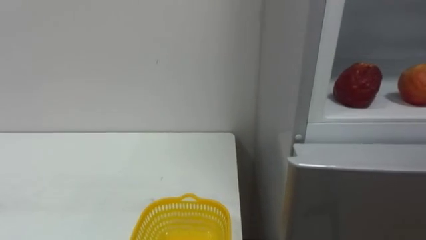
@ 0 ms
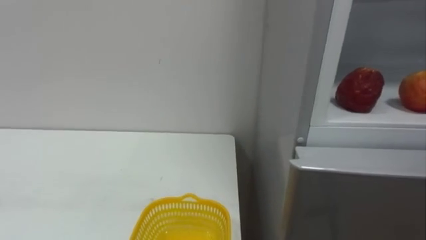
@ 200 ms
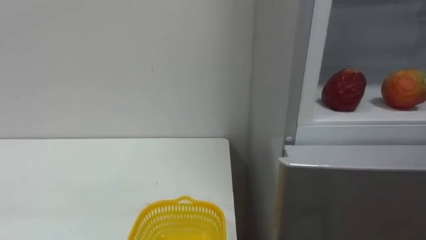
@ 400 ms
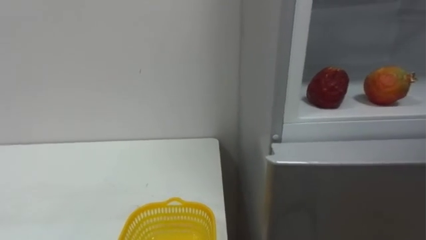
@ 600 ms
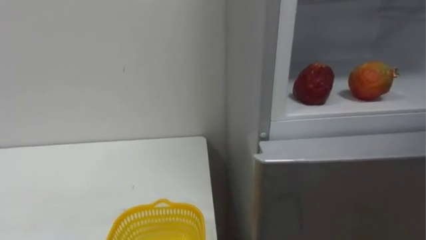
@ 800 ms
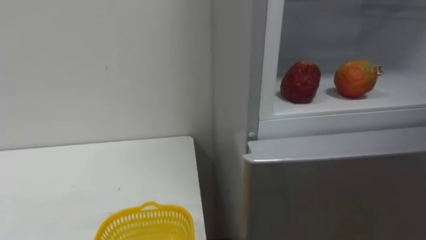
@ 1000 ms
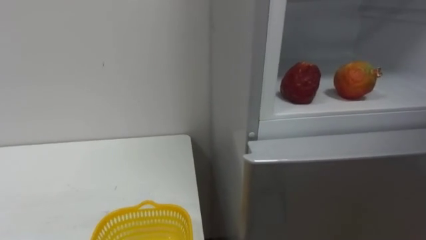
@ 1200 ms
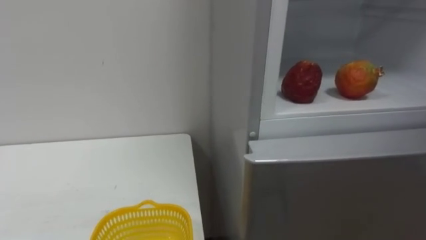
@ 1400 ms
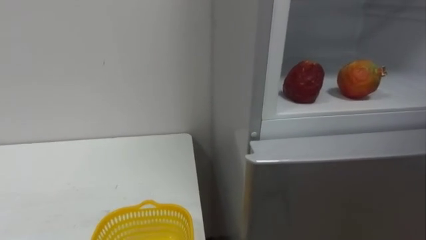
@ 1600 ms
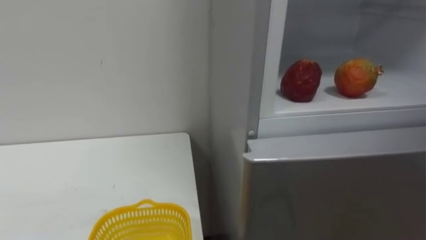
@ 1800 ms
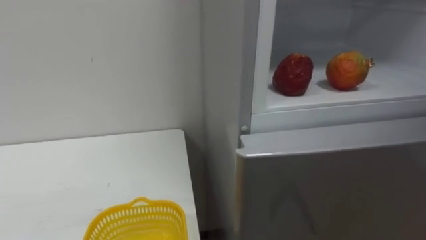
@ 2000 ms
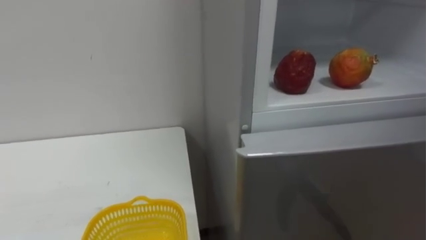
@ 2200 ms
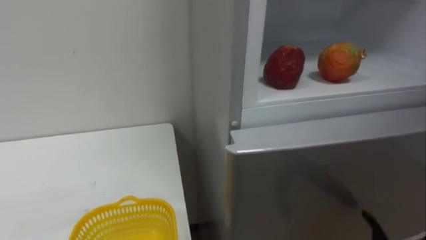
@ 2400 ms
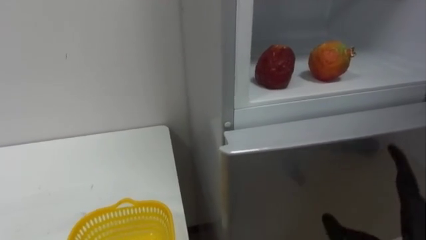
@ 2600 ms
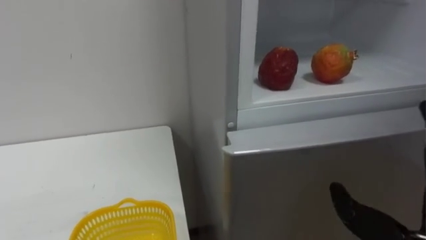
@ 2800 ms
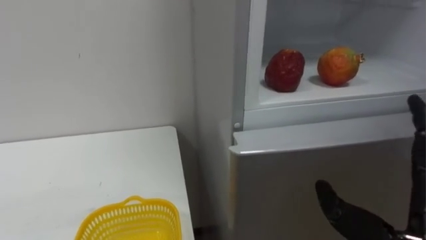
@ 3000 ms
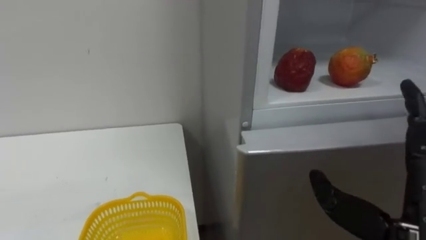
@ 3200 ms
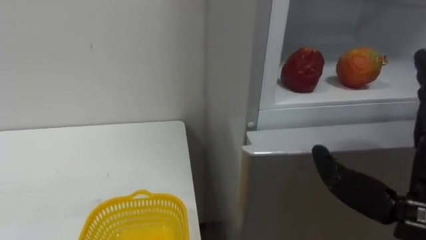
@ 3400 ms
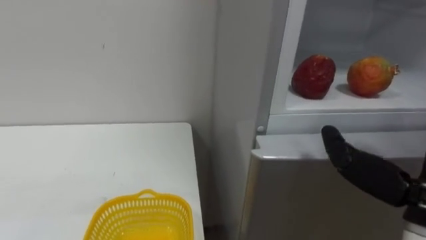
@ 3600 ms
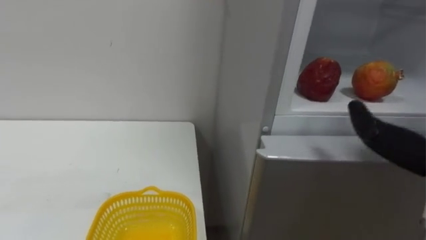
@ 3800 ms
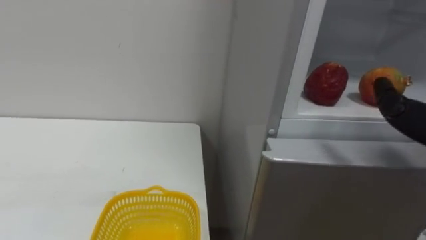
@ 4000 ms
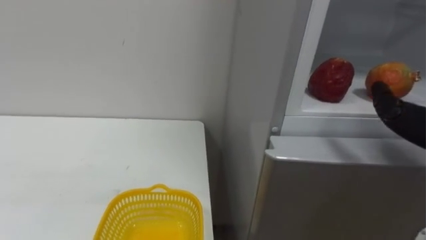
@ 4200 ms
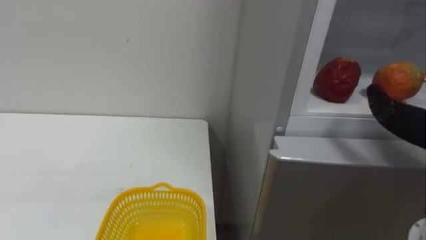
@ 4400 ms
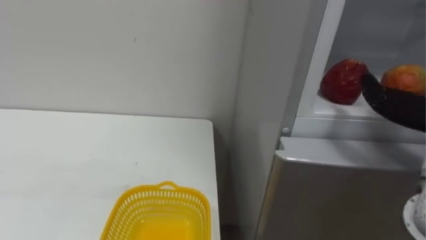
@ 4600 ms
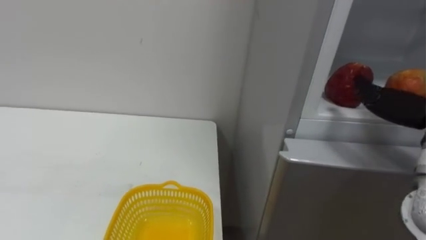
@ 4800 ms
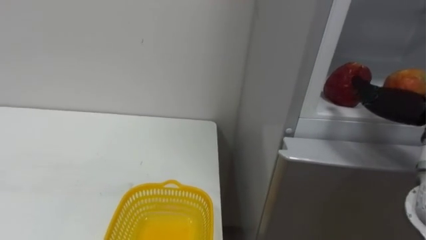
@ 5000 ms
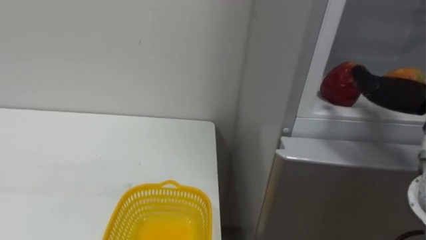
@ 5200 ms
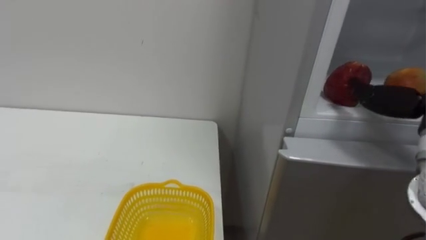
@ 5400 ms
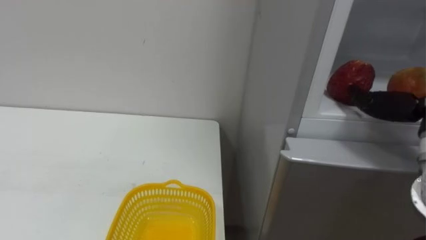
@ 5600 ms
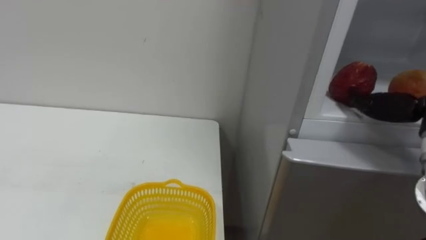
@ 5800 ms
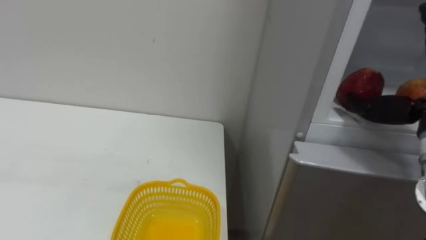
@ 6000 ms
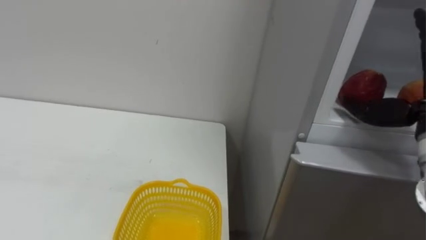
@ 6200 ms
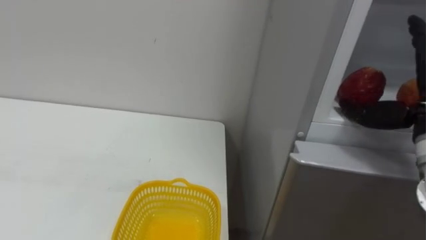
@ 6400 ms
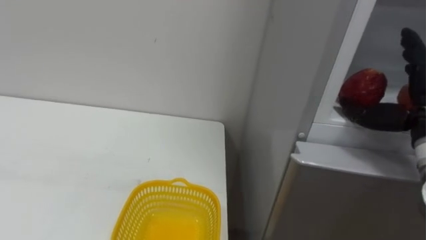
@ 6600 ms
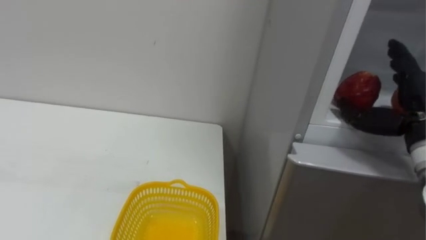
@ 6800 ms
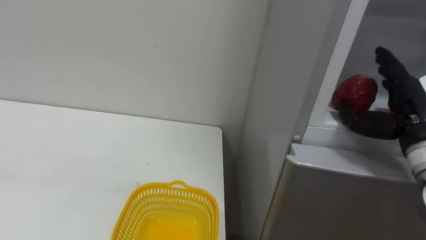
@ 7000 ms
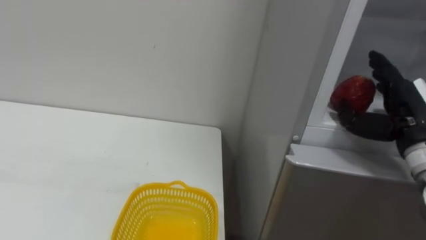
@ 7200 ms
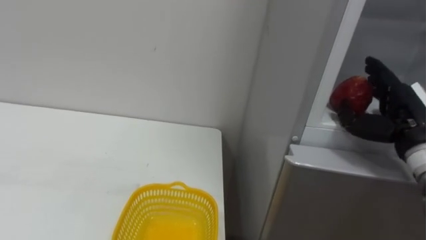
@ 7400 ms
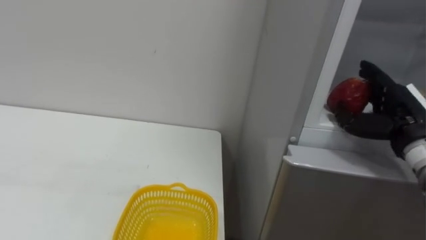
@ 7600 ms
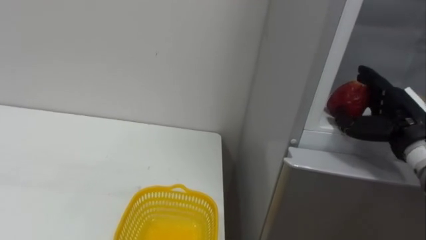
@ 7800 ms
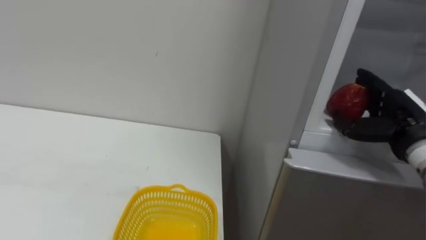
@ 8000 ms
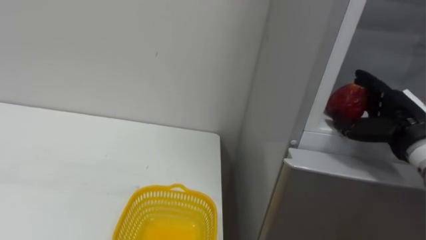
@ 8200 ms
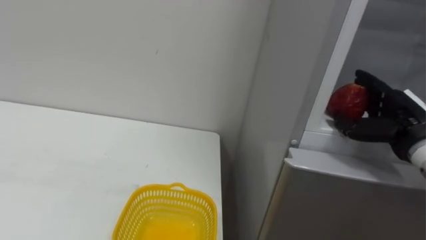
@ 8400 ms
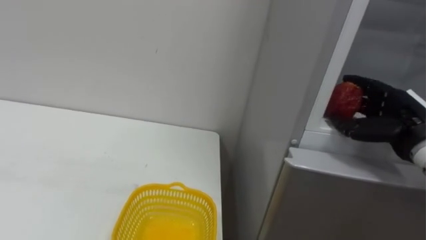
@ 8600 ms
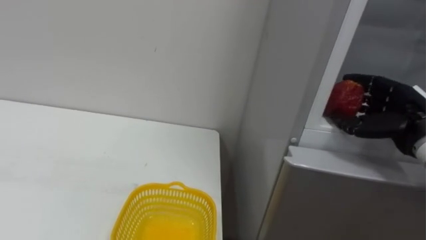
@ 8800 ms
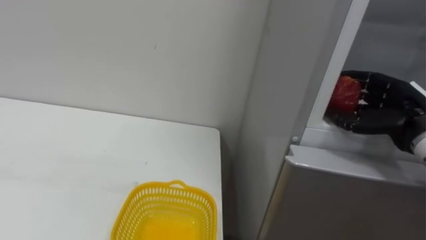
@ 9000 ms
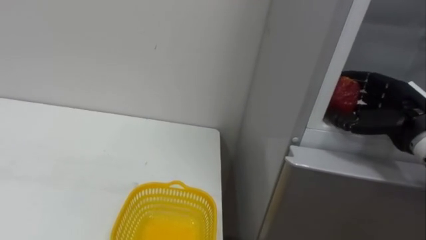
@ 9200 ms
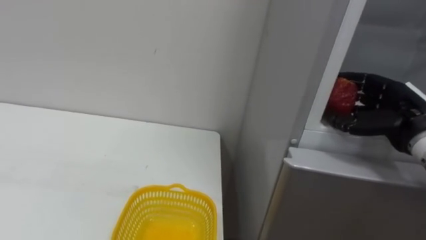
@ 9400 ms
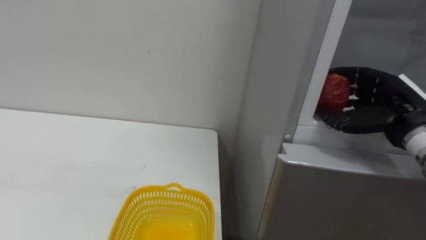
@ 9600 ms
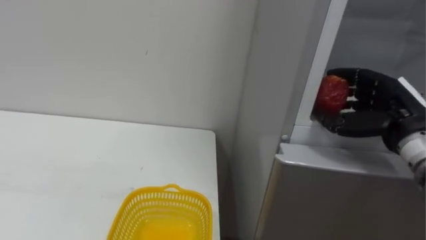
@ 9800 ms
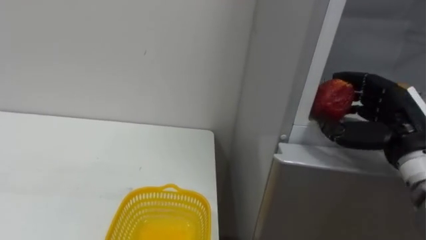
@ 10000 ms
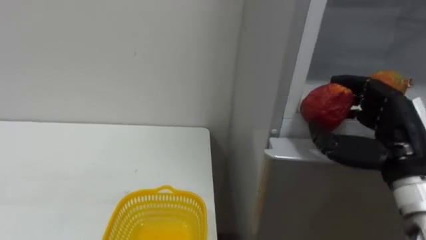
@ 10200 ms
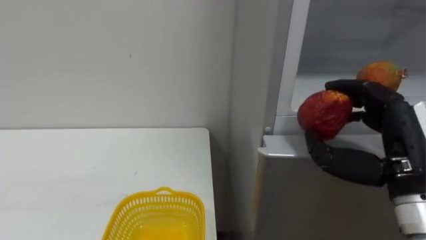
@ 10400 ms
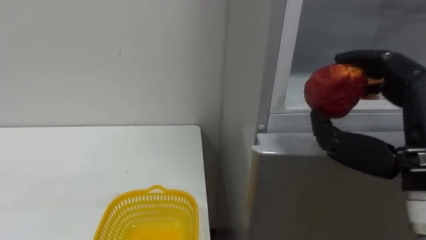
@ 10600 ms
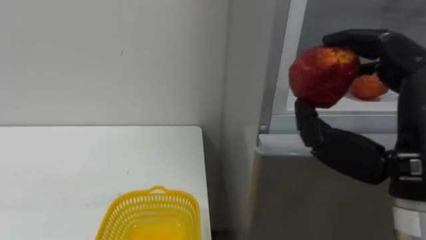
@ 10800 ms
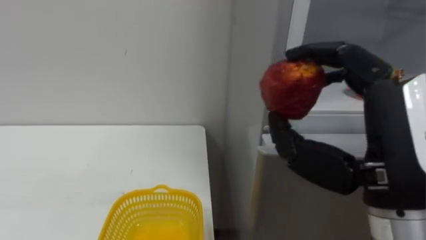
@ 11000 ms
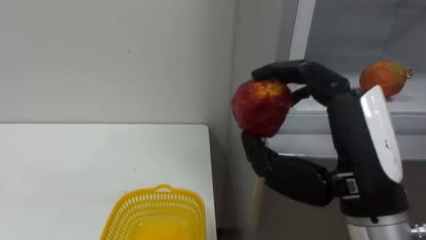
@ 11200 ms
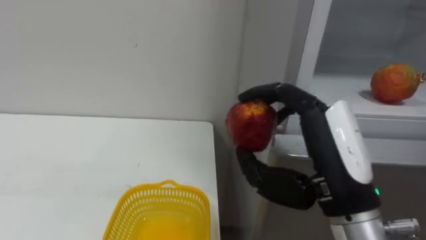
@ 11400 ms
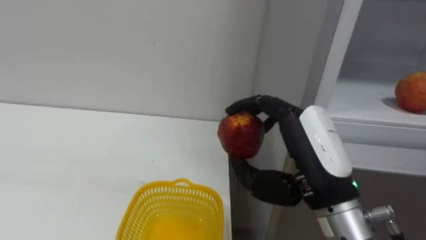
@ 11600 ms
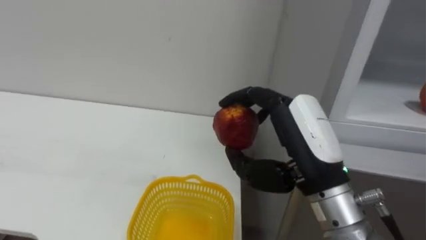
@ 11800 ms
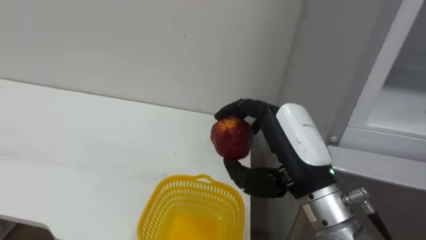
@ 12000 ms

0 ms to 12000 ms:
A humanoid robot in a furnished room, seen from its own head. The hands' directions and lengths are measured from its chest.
Task of the whole recording: Open the refrigerator door, take out the apple and the pomegranate, place them in the fruit basket on the left, and close the refrigerator door.
7600 ms to 9000 ms: The right hand closes.
9000 ms to 10400 ms: The right hand shifts some 15 cm backward and to the left.
10400 ms to 12000 ms: The right hand travels to the left by about 15 cm.

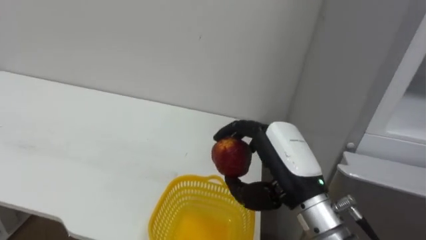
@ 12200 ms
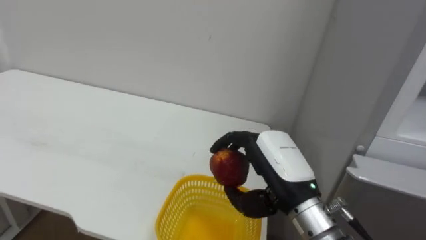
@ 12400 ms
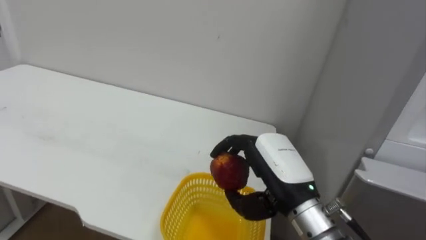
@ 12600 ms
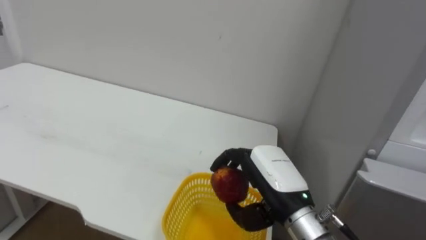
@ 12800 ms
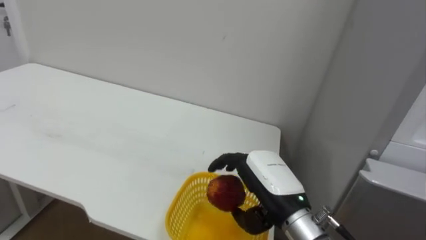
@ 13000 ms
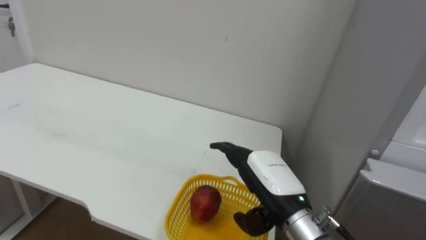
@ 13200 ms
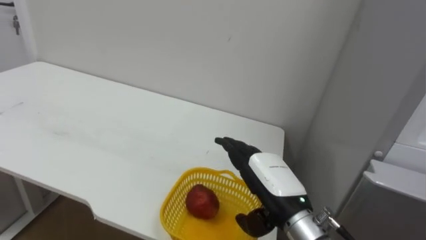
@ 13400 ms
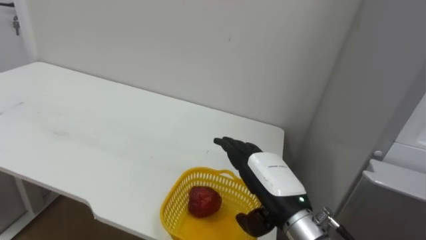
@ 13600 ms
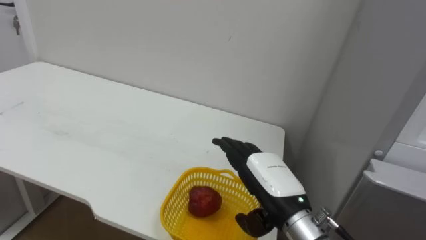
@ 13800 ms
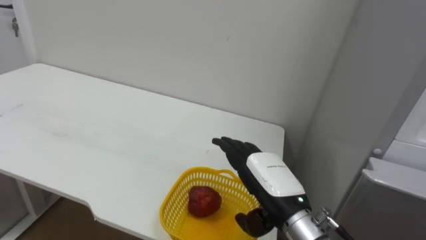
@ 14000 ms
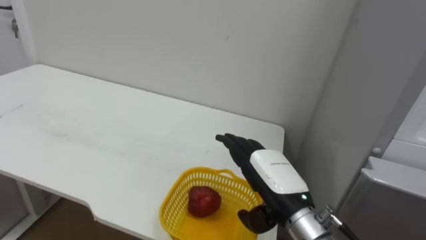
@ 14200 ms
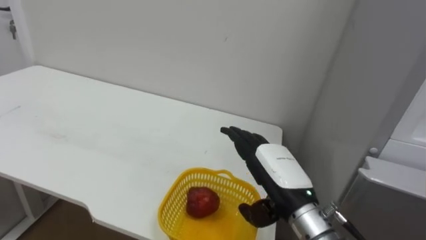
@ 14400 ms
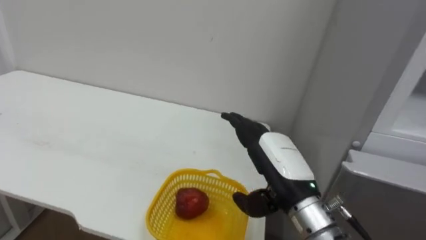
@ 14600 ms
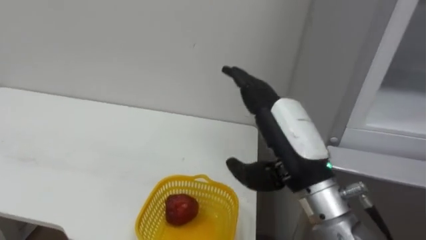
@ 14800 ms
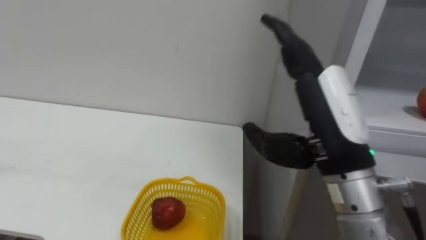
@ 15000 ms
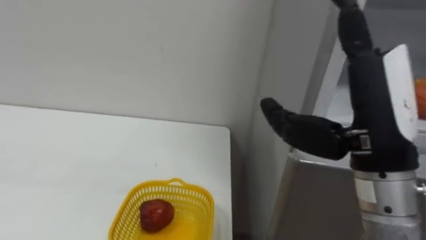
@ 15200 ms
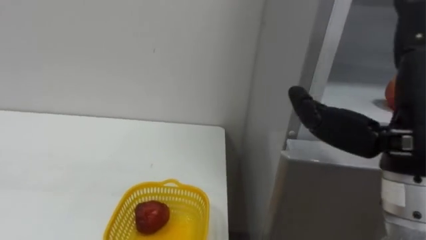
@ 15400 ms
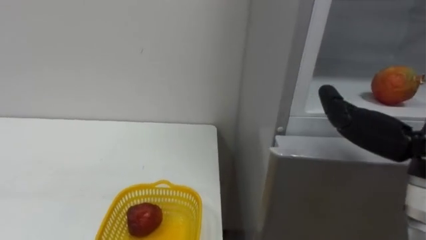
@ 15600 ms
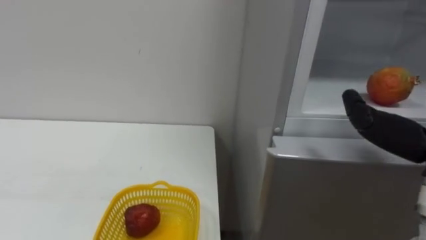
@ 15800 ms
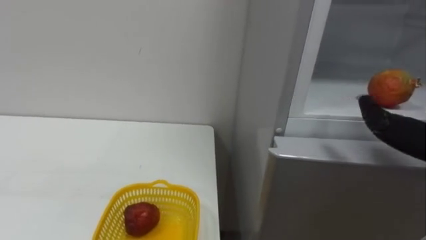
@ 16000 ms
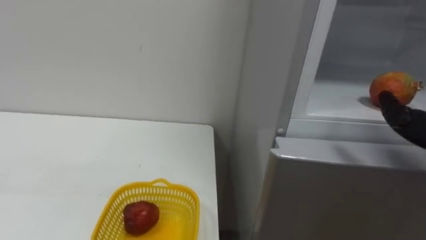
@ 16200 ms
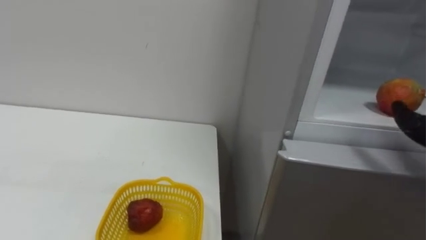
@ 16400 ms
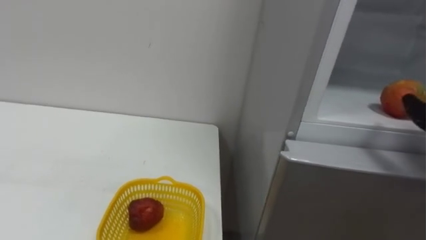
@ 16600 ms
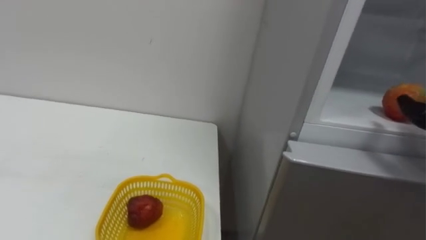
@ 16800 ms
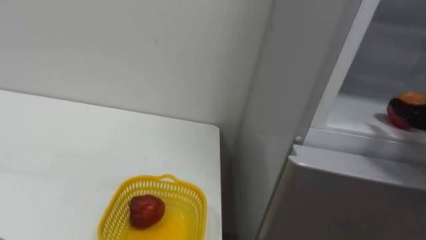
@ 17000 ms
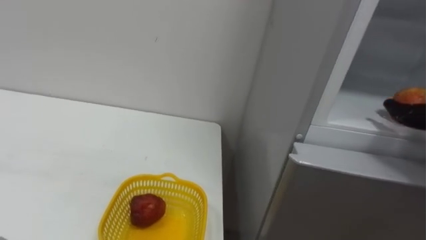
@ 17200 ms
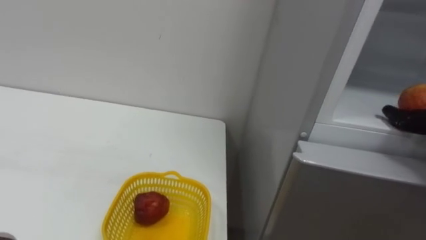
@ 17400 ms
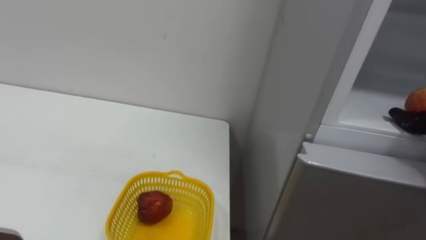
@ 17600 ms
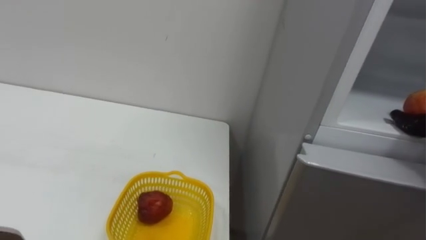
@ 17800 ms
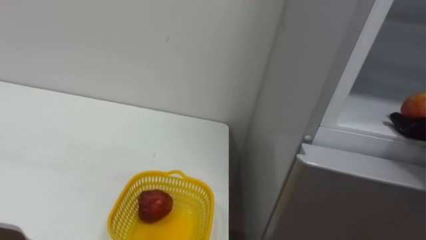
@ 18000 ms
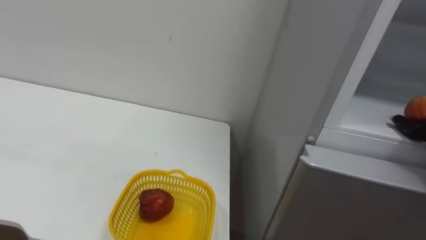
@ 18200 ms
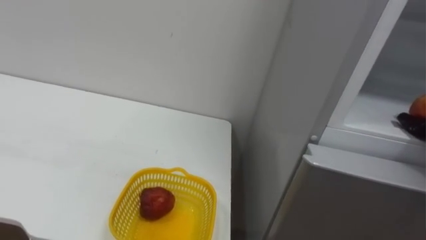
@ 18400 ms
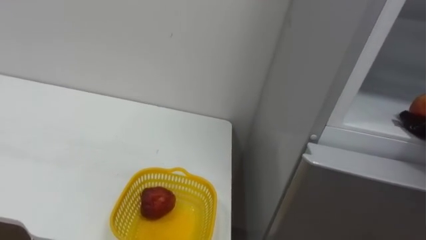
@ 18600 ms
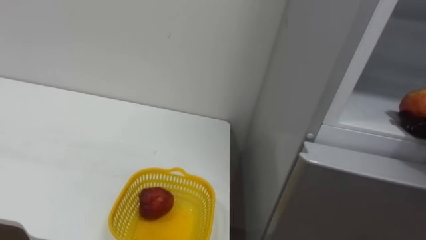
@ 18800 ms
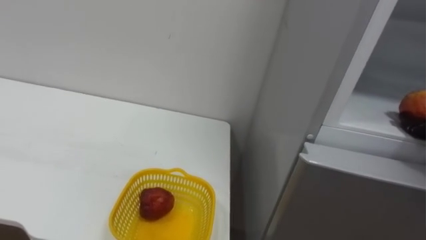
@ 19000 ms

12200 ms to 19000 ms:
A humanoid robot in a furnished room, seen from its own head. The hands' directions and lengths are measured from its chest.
Task of the whole recording: Open the refrigerator door, take out the apple and the pomegranate, place them in the fruit basket on the left, and close the refrigerator door.
12200 ms to 13600 ms: The right hand shifts roughly 5 cm downward, and opens its fingers.
13600 ms to 15000 ms: The right hand goes approximately 15 cm upward.
